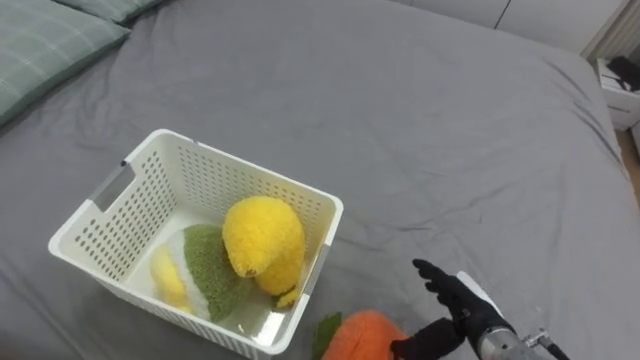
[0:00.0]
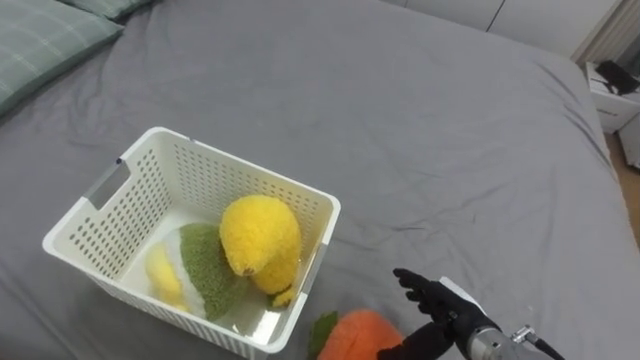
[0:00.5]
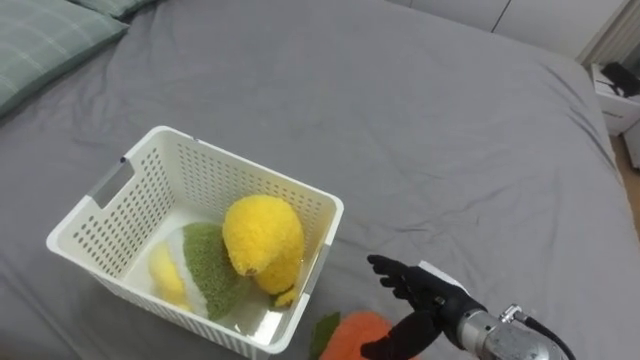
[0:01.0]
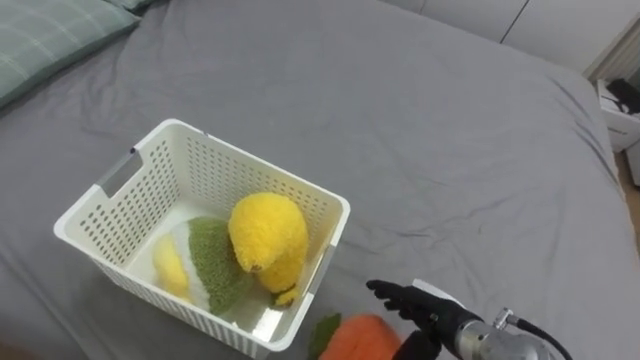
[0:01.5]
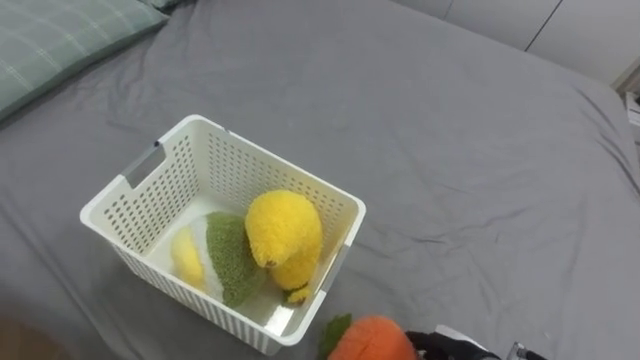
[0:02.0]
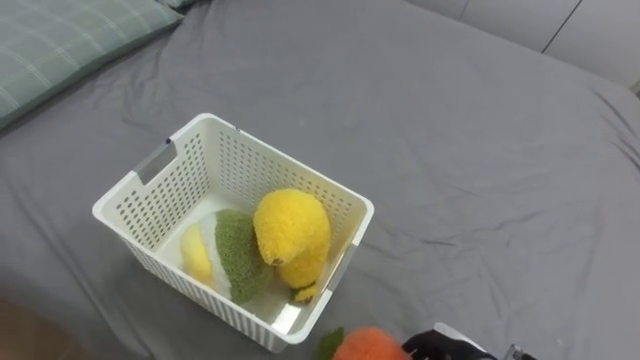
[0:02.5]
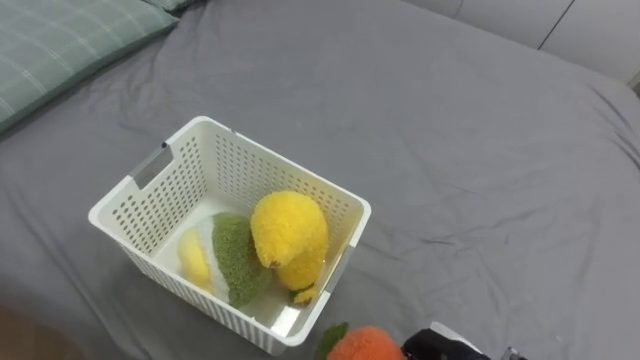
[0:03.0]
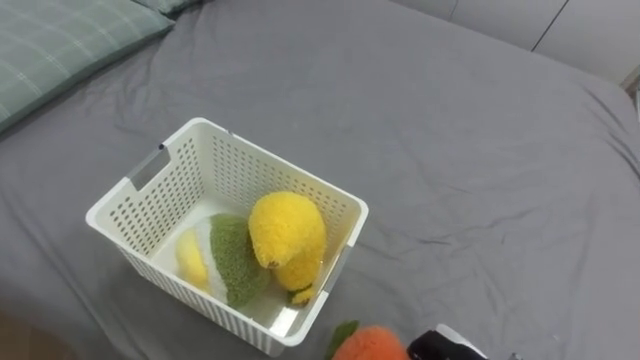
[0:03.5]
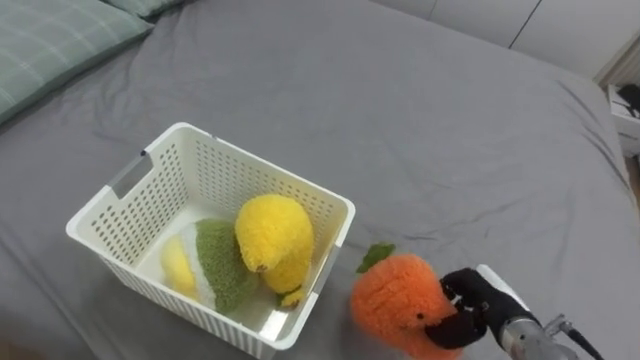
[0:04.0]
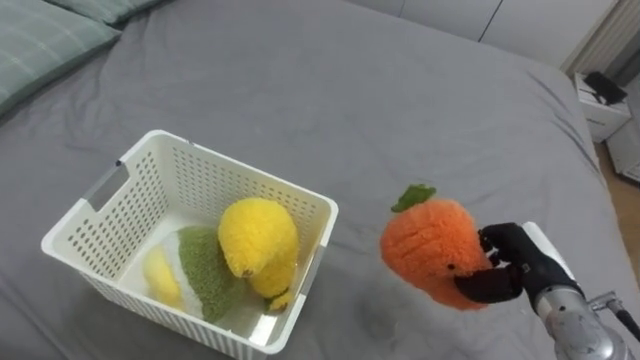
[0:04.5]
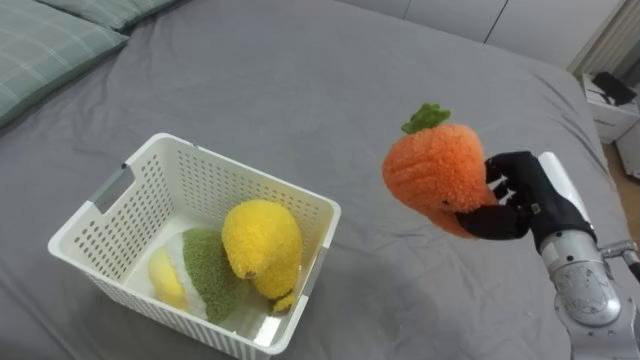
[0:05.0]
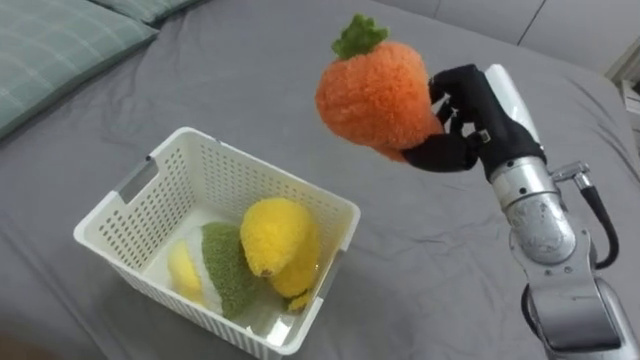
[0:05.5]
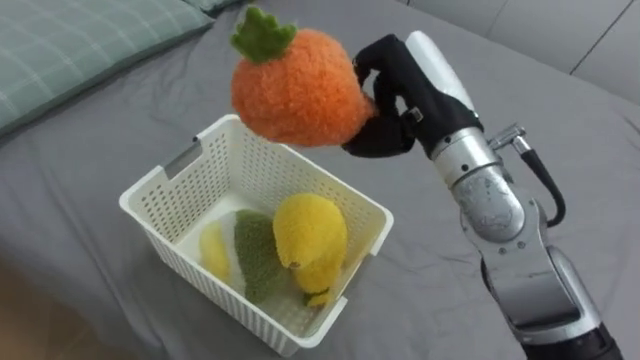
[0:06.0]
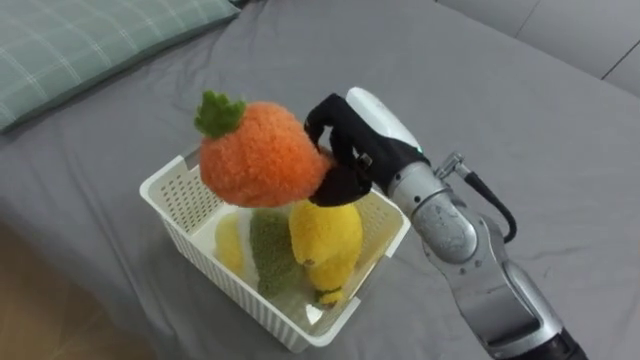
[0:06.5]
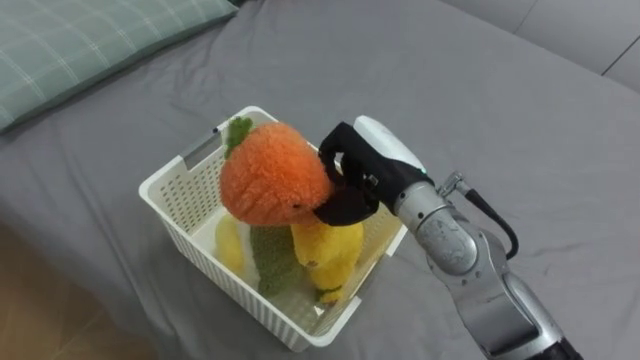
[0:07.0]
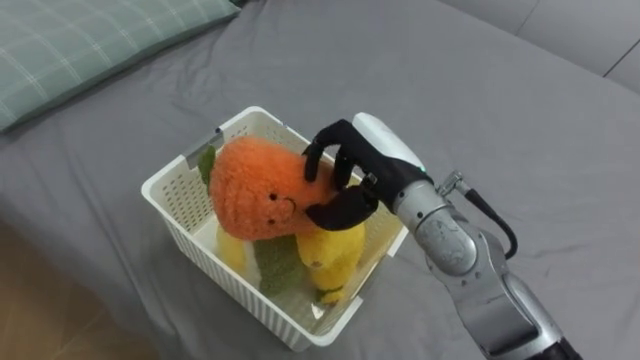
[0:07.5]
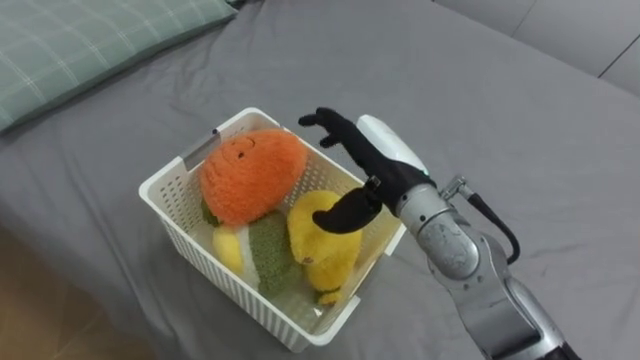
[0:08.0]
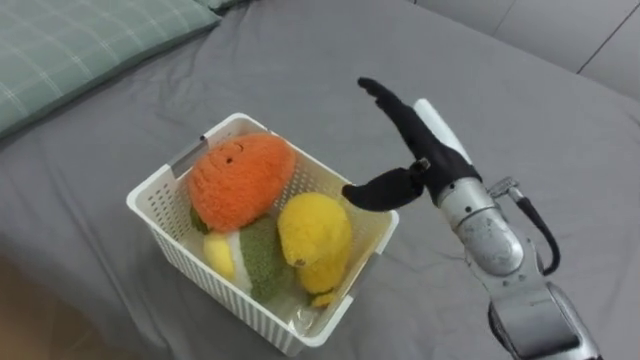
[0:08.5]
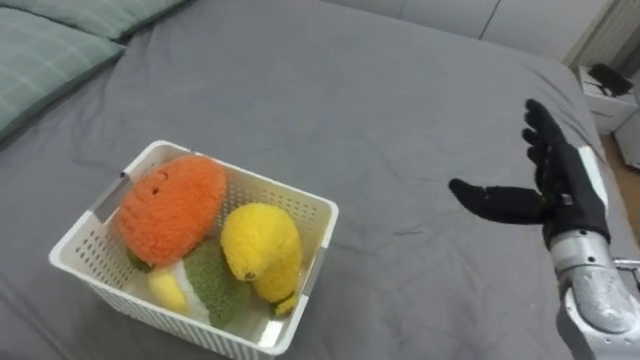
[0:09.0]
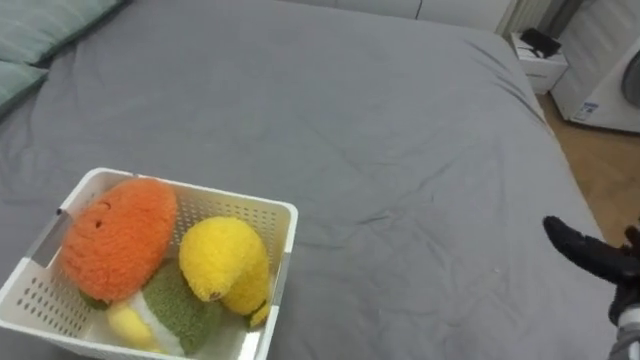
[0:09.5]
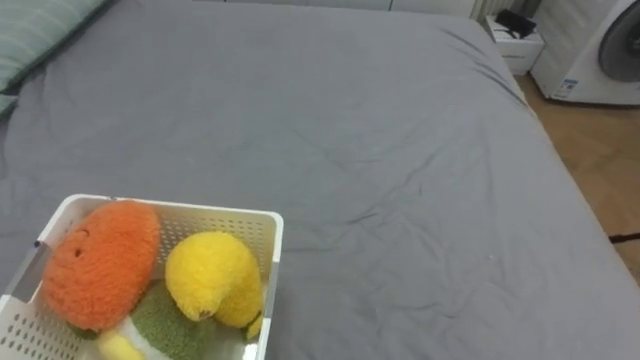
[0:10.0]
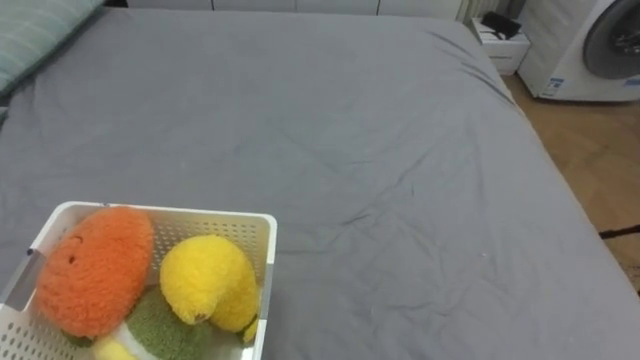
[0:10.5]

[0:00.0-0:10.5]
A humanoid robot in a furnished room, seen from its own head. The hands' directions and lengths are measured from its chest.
Task of the whole recording: Put the toys on the bed into the basket on the left.
0:00.0 to 0:02.0: The right hand changes place by approximately 5 cm.
0:02.0 to 0:04.0: The right hand moves approximately 10 cm, and closes.
0:04.0 to 0:06.5: The right hand moves upward, to the left and forward, about 30 cm.
0:06.5 to 0:08.5: The right hand travels to the right by roughly 5 cm, and opens its fingers.

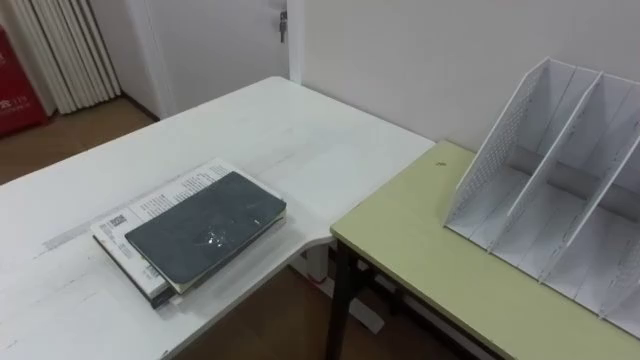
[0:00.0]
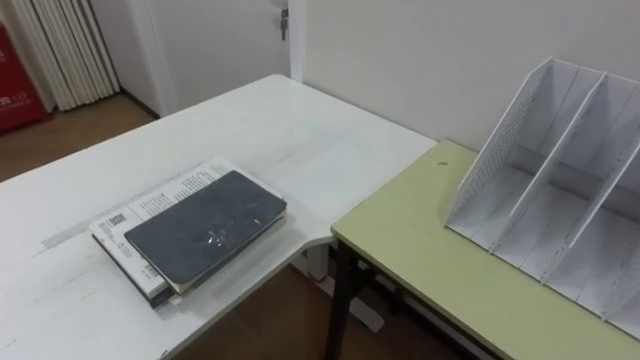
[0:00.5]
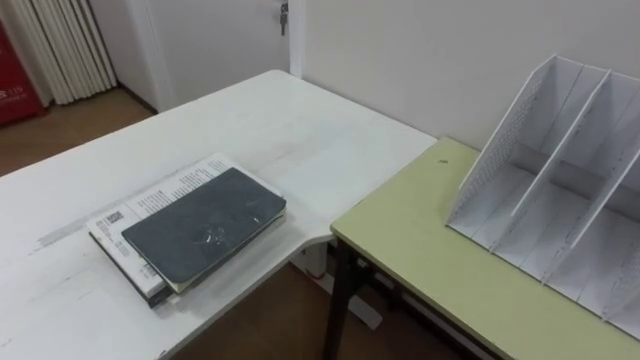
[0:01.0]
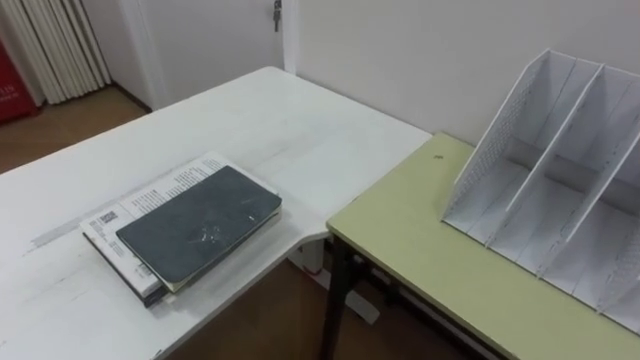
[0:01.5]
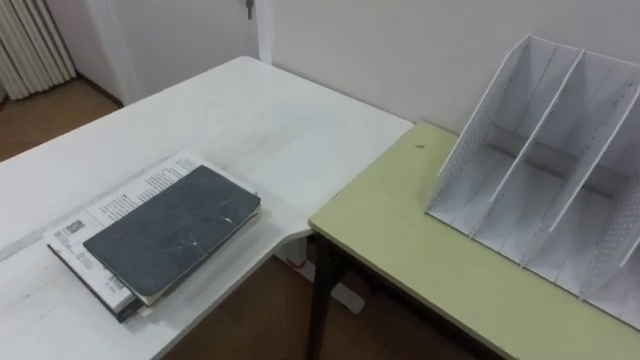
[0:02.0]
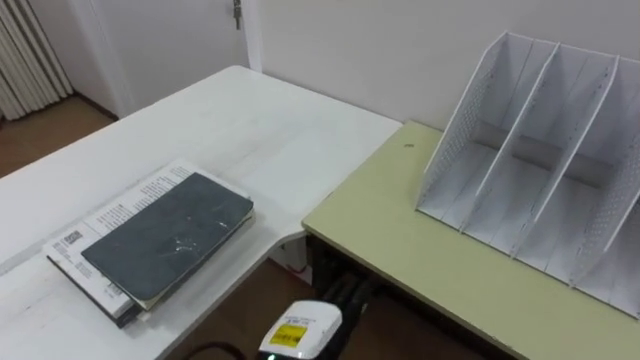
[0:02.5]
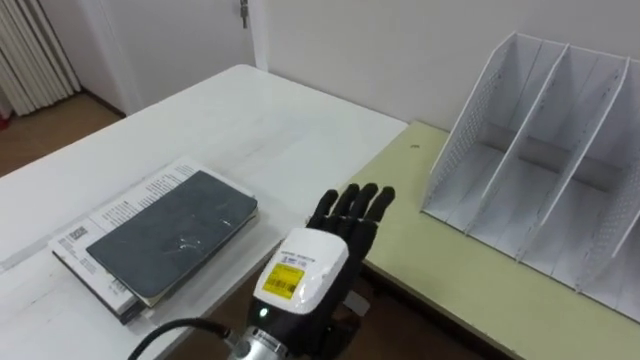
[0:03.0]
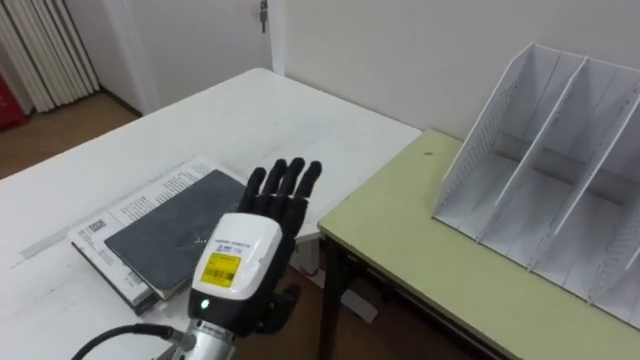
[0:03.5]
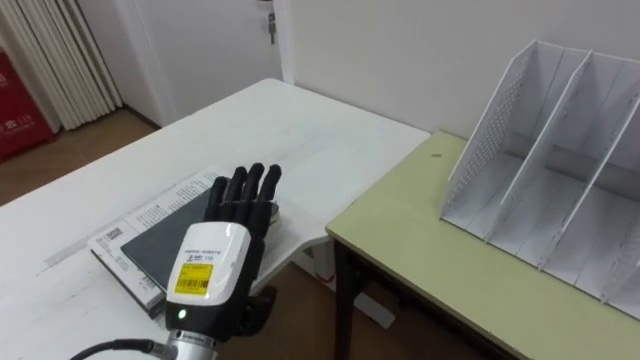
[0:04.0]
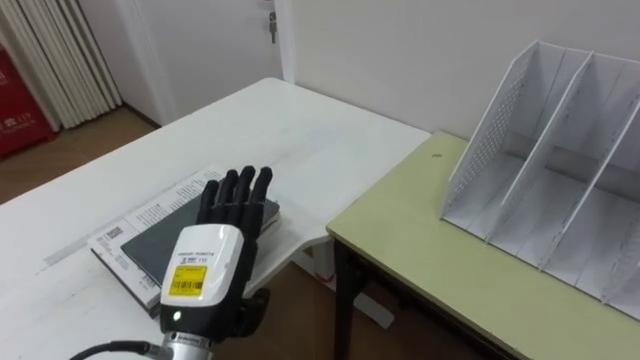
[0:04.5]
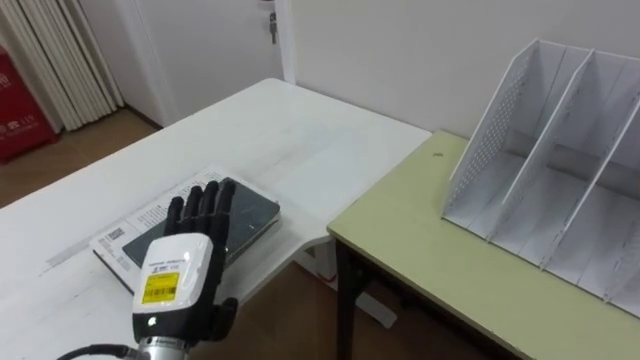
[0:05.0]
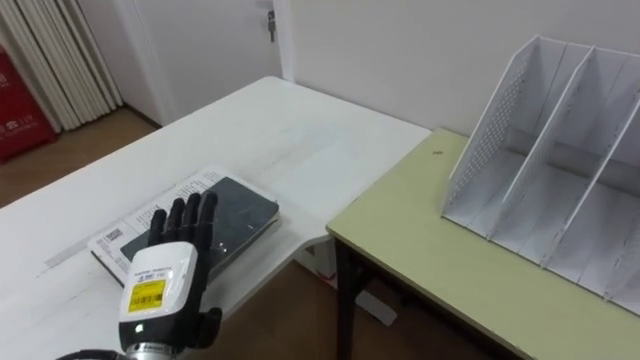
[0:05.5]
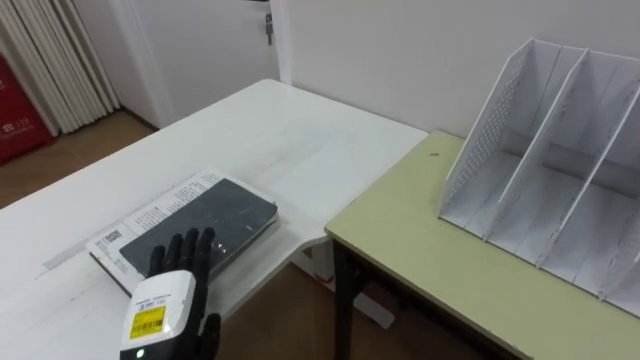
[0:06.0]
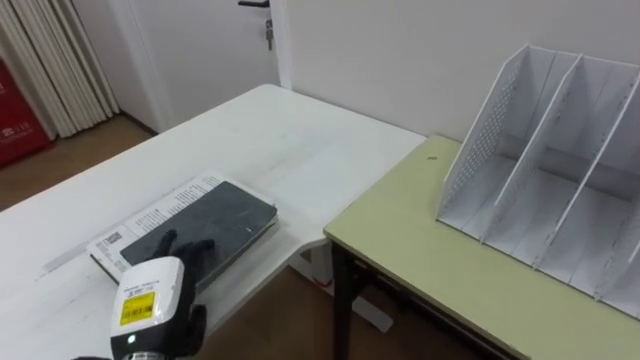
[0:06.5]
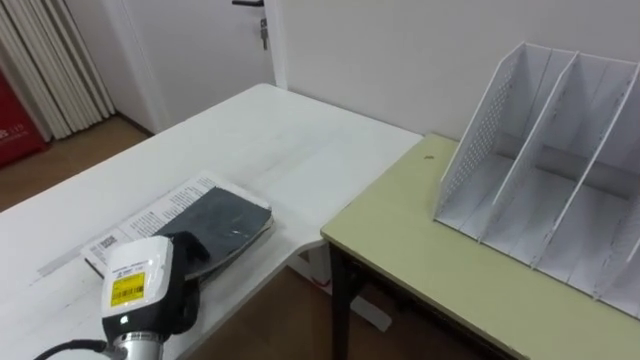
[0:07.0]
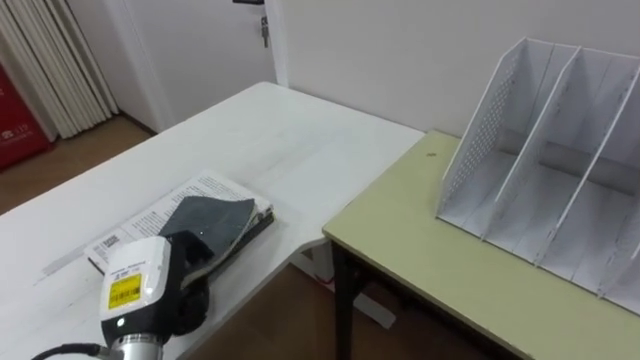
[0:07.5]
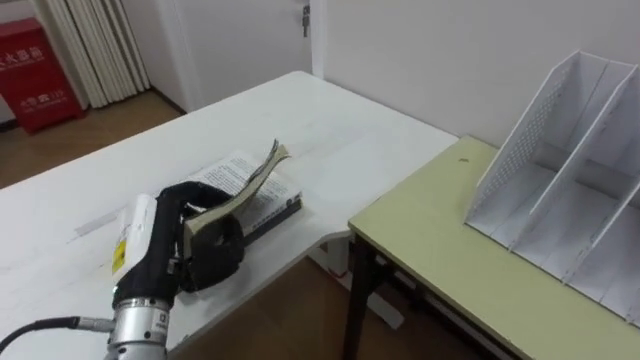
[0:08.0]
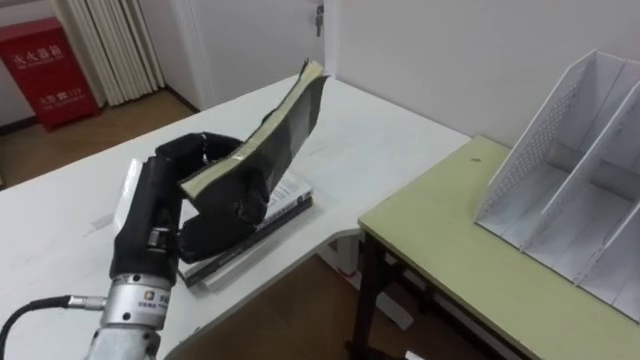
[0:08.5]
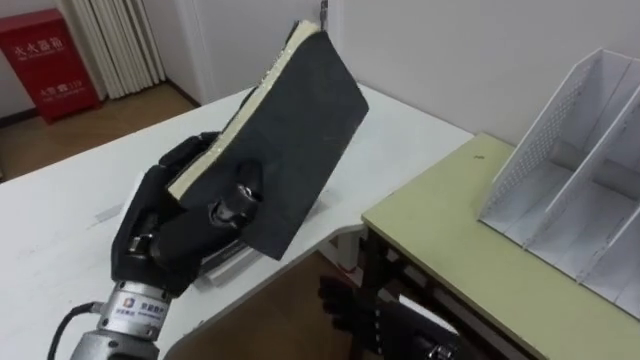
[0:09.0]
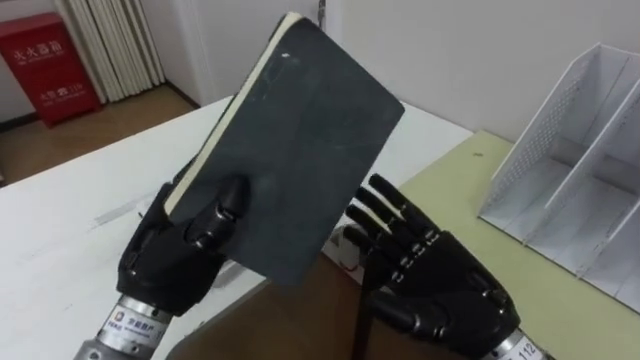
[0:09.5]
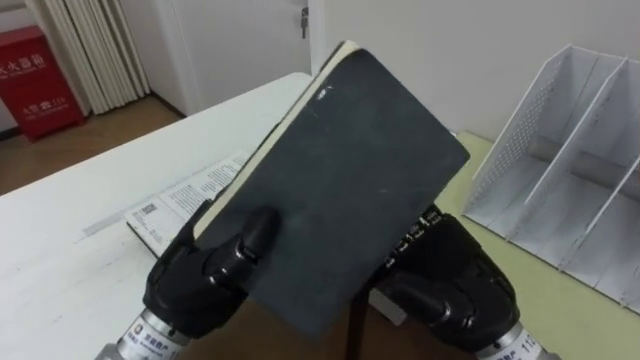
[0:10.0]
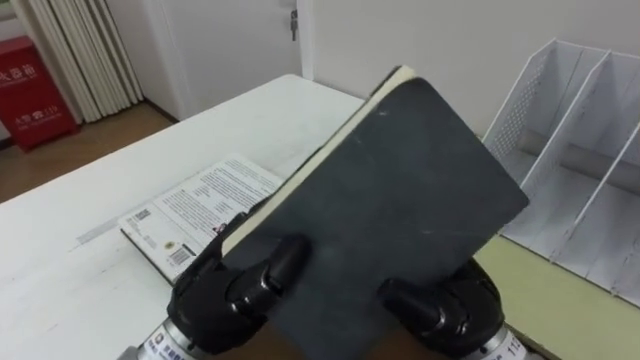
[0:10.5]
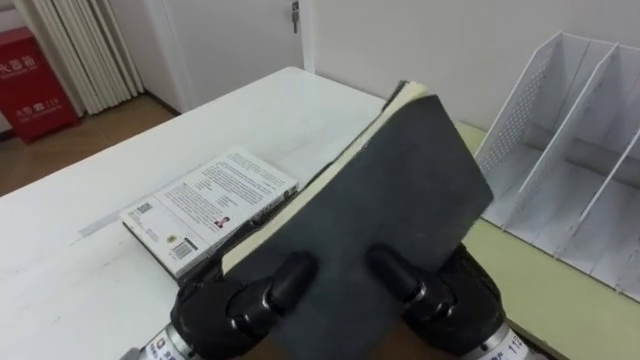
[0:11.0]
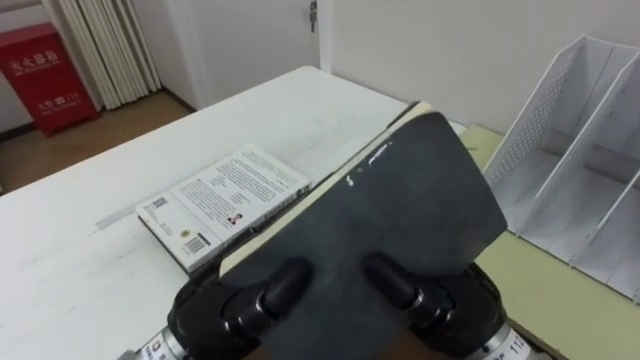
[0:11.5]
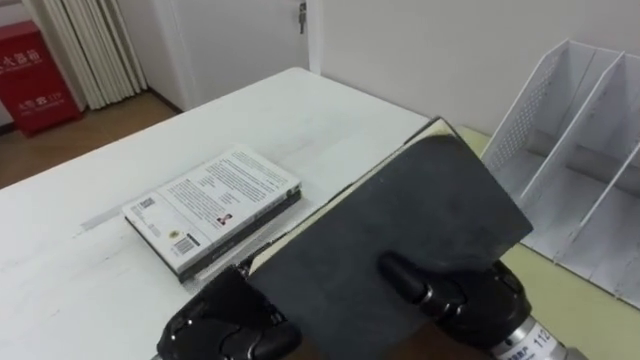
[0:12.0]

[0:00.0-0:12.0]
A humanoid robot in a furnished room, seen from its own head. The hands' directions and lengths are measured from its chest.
Task of the whole recording: Put the books on the table onto the bookshelf.
0:04.0 to 0:06.0: The left hand travels downward and to the left by roughly 10 cm.
0:06.0 to 0:08.0: The left hand goes about 10 cm upward, and closes.
0:08.0 to 0:10.0: The left hand moves to the right, about 5 cm.
0:10.0 to 0:12.0: The left hand is displaced downward by about 5 cm, and opens its fingers; the right hand closes up.
